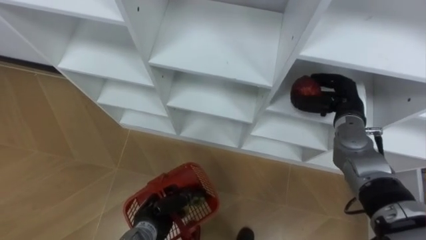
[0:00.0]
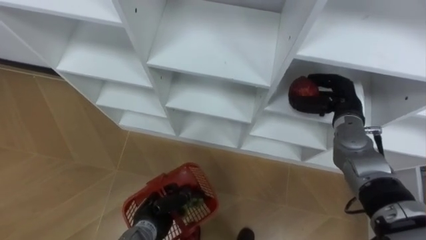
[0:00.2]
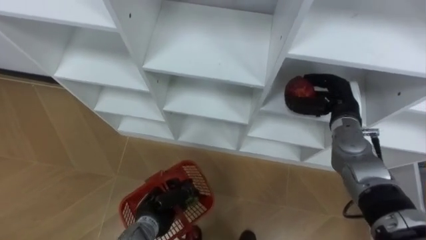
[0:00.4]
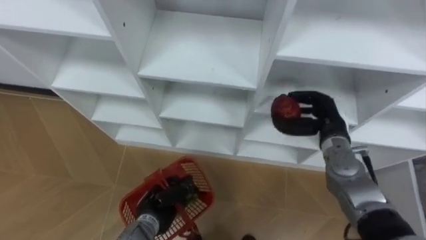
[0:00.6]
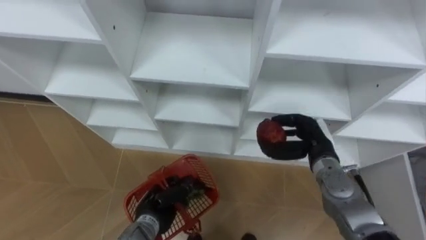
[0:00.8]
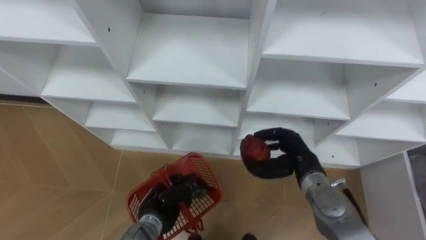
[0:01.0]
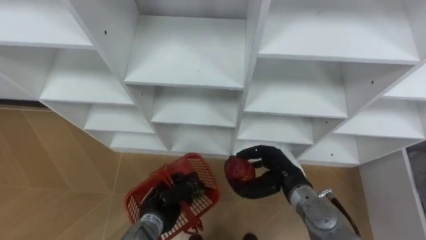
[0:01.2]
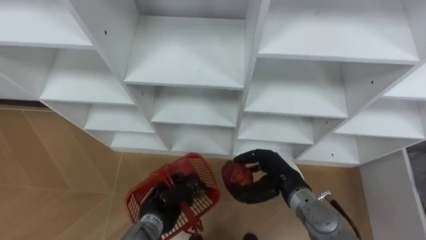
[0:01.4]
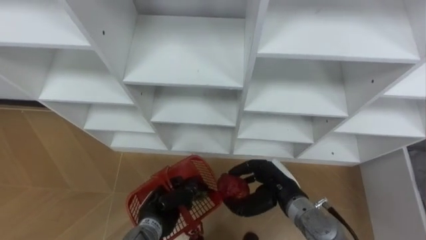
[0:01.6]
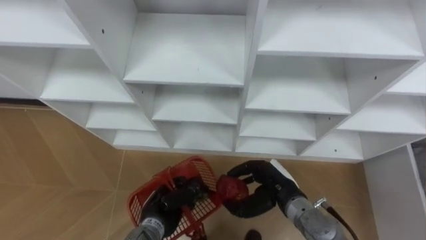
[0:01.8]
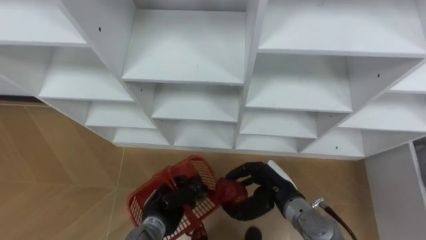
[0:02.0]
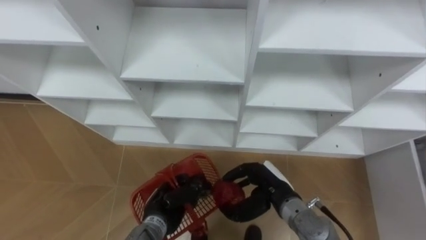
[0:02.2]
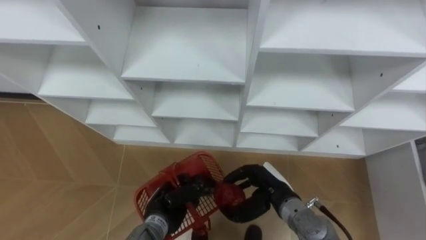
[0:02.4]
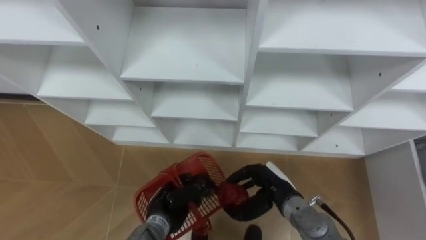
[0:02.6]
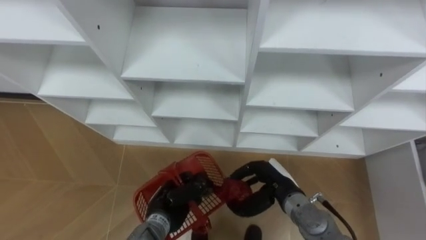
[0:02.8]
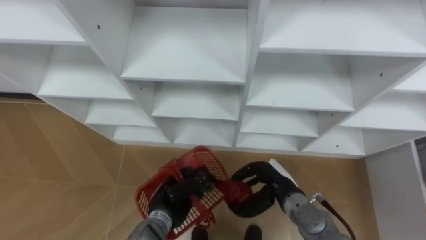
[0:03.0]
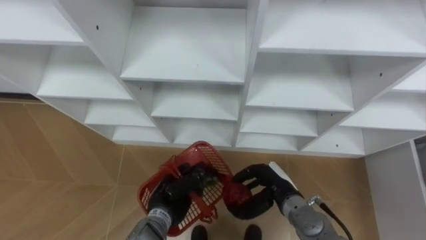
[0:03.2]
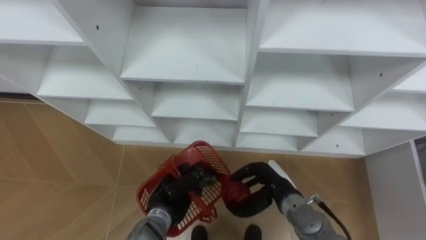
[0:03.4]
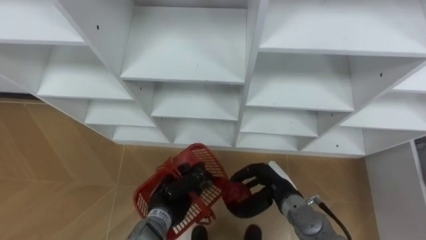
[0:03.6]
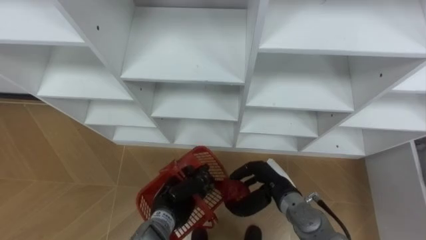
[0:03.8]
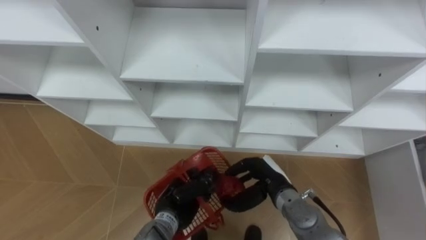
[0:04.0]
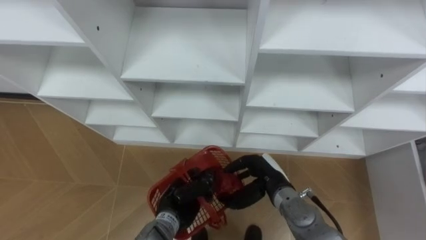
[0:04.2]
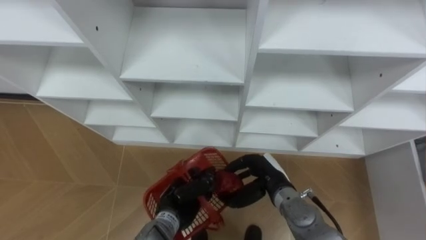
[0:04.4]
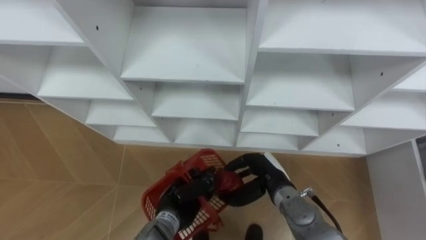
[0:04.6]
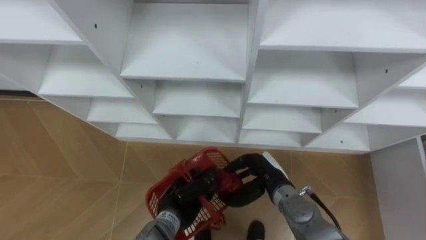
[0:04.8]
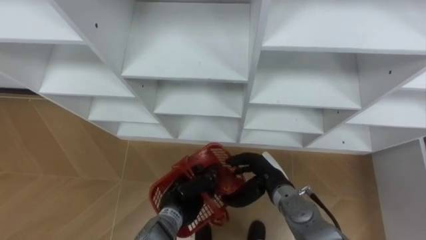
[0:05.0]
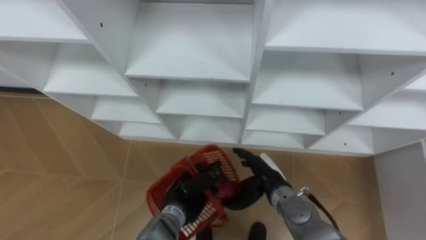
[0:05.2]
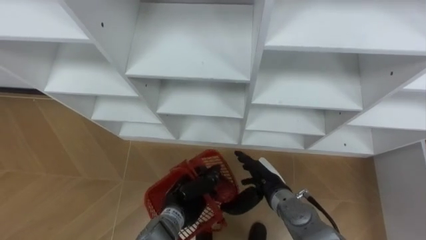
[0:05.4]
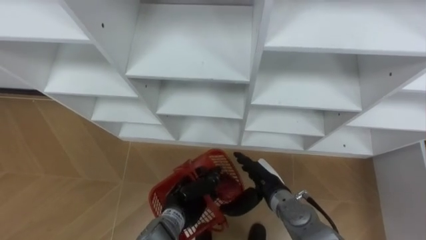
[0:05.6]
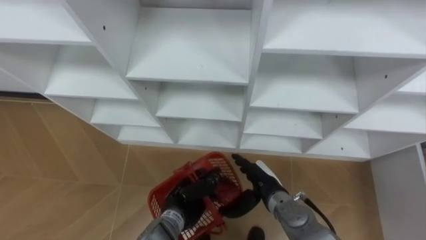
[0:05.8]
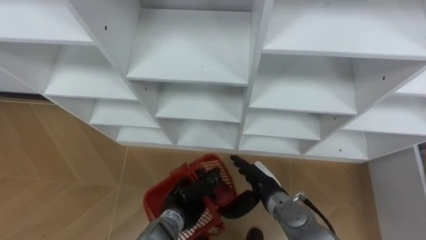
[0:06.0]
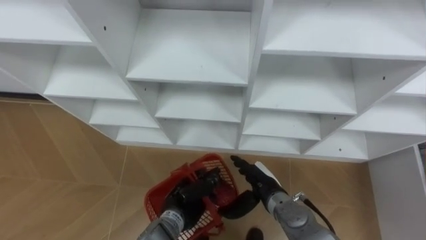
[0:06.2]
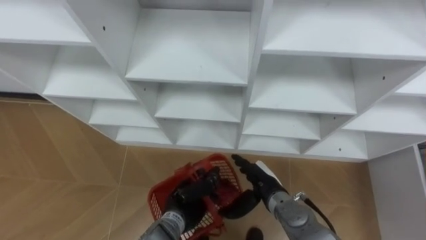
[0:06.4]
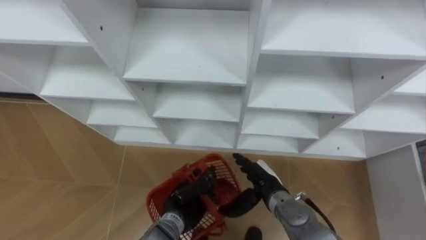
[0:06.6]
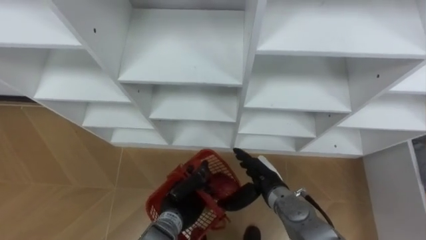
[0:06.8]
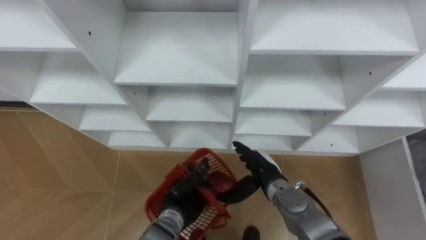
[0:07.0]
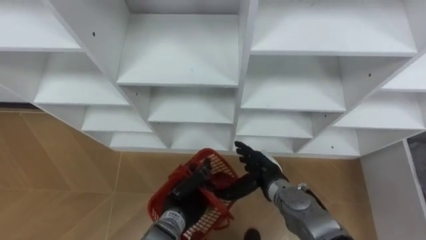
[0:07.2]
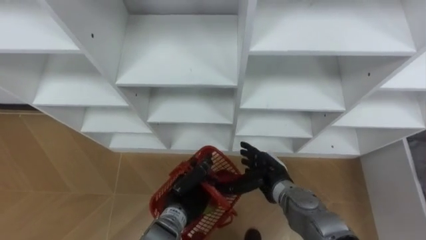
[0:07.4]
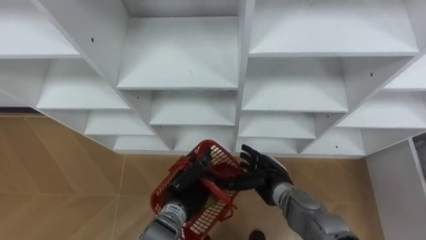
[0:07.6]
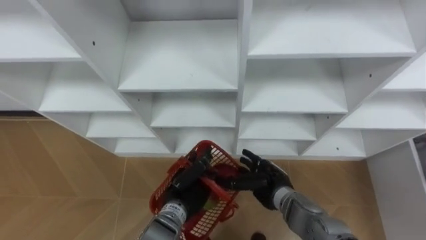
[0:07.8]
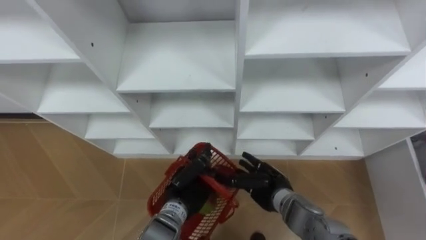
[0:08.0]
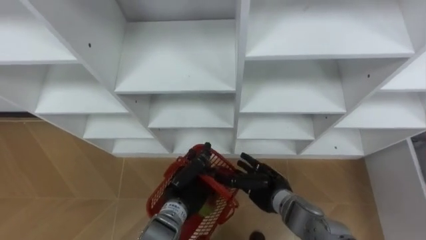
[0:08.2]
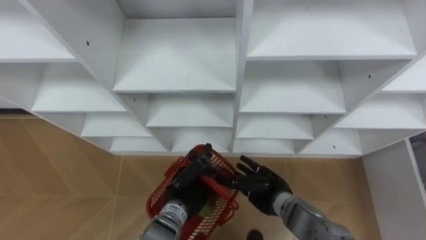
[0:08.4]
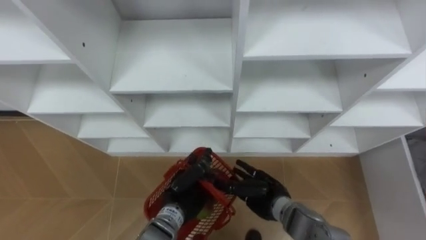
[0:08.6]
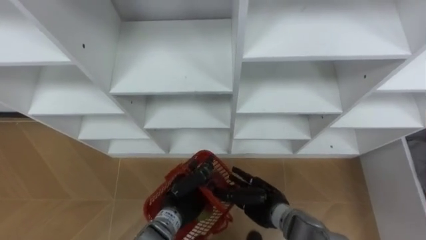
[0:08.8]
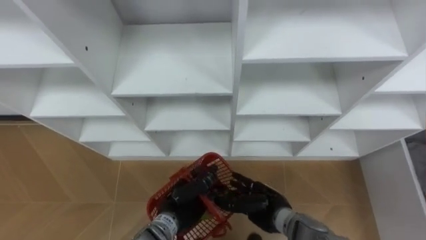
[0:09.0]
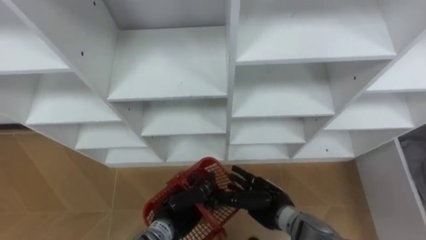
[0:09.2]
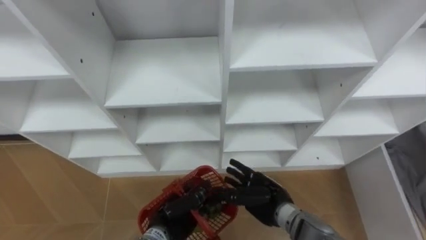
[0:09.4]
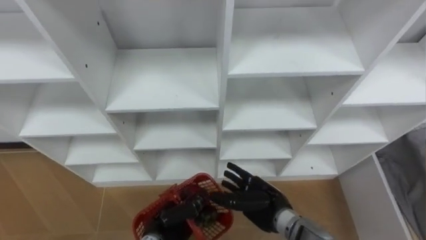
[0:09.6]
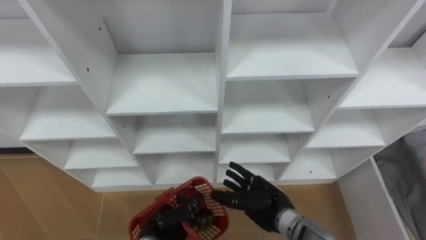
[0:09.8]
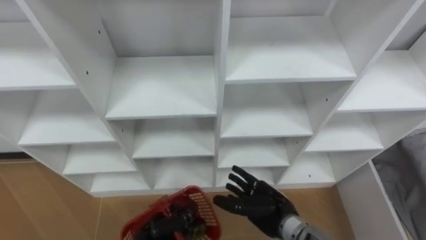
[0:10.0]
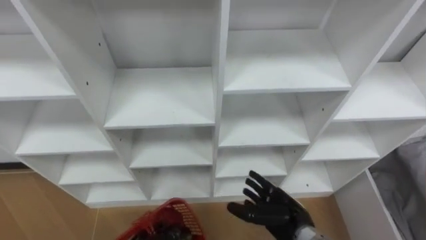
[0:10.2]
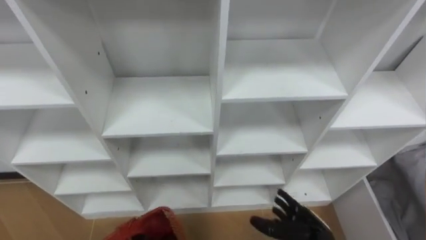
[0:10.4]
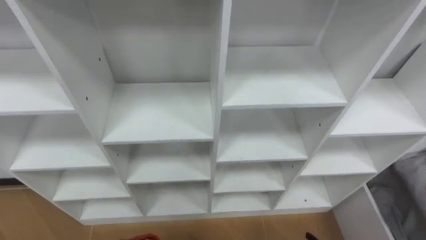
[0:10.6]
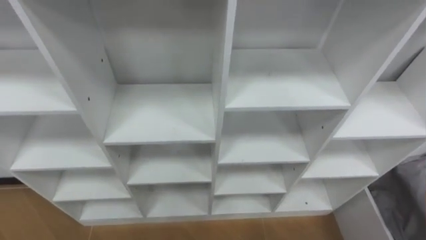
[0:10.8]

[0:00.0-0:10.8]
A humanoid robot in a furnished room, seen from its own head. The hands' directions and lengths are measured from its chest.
Task of the whole recording: Hold the basket and collect the fruits from 3 different cells of the closet into it.
0:00.0 to 0:01.6: The right hand heads backward, to the left and downward, covering approximately 20 cm.
0:03.0 to 0:04.6: There are only small adjustments of the hands.
0:04.6 to 0:06.2: The right hand opens its fingers.

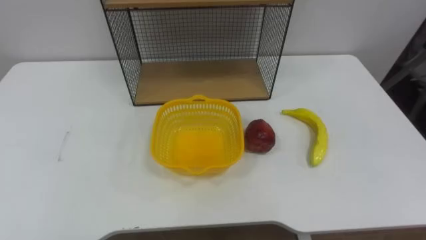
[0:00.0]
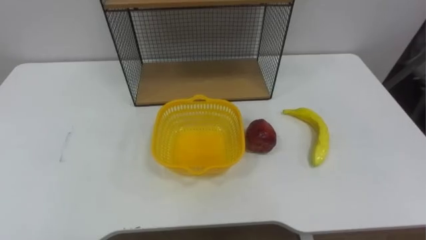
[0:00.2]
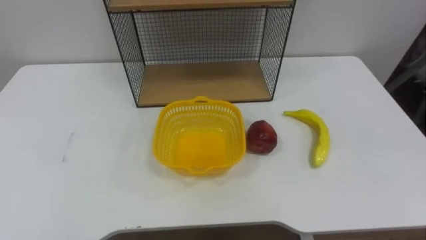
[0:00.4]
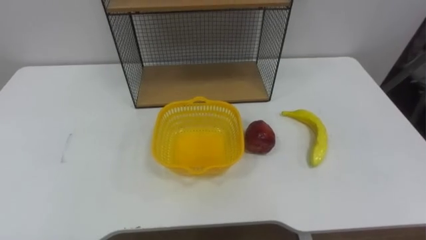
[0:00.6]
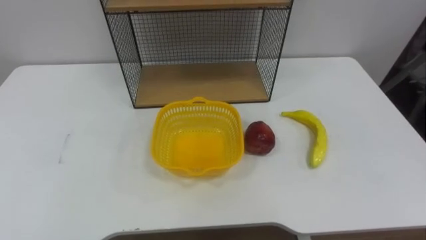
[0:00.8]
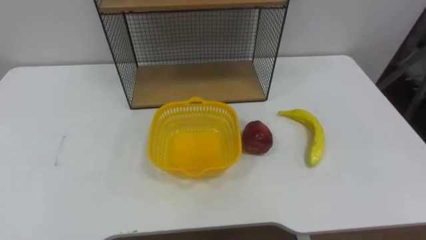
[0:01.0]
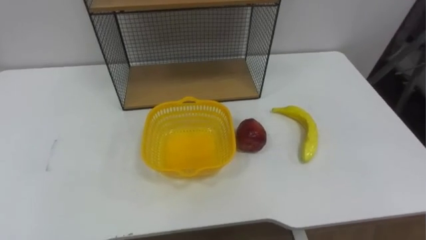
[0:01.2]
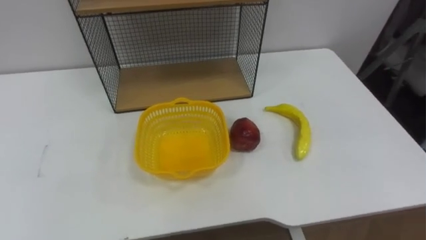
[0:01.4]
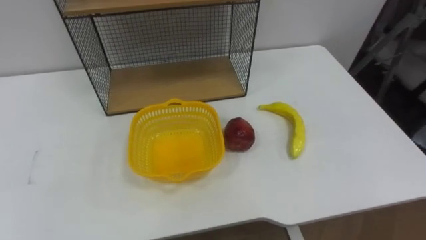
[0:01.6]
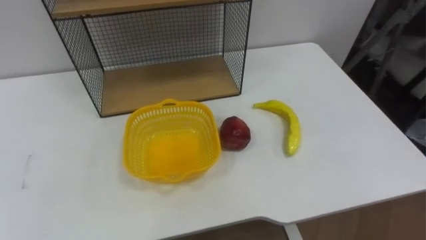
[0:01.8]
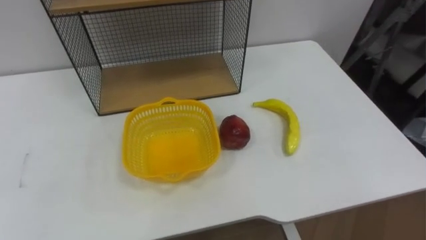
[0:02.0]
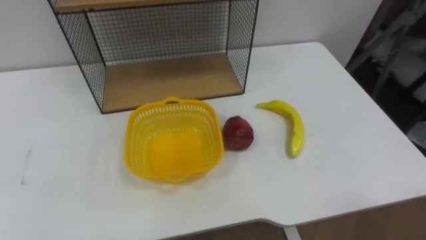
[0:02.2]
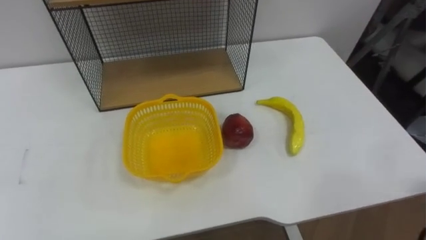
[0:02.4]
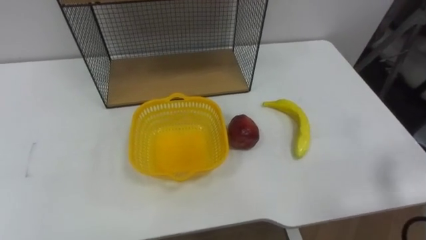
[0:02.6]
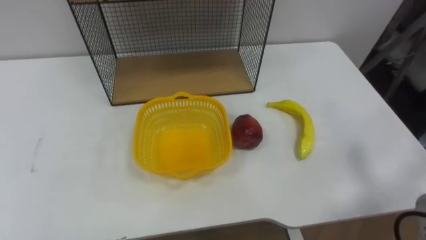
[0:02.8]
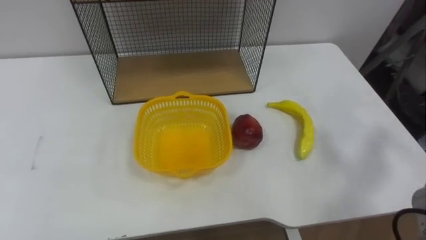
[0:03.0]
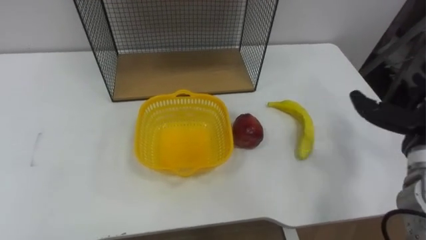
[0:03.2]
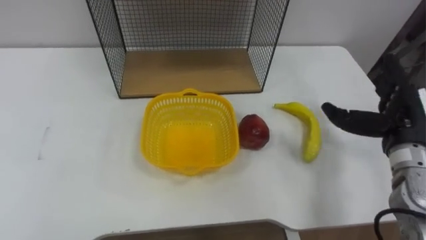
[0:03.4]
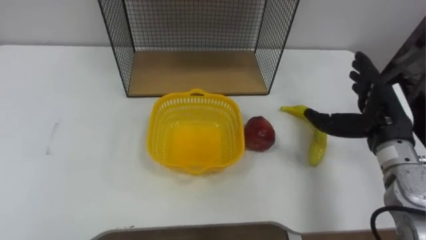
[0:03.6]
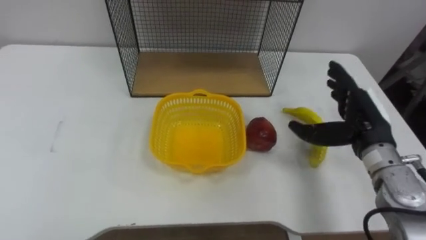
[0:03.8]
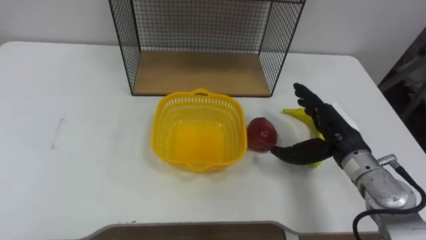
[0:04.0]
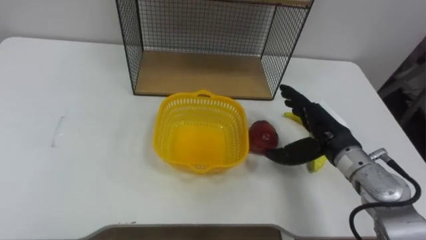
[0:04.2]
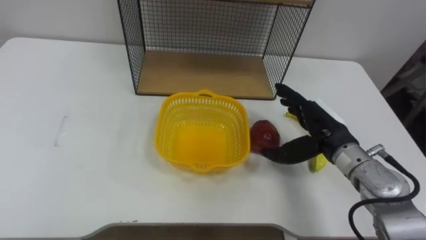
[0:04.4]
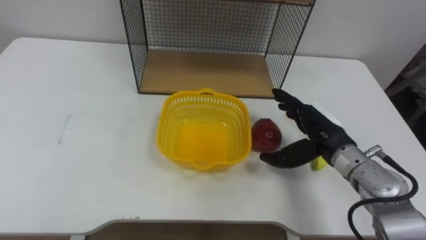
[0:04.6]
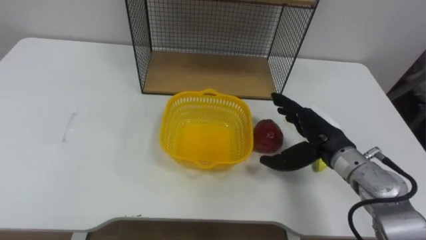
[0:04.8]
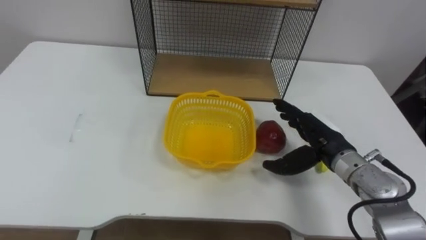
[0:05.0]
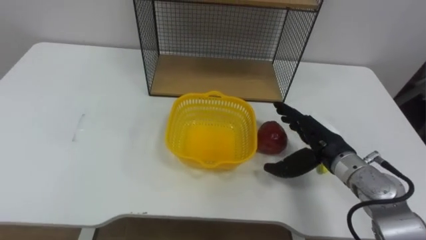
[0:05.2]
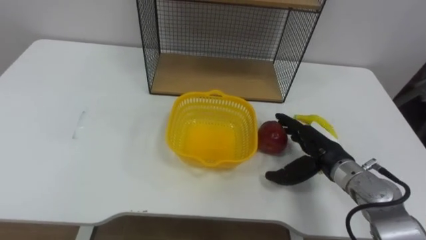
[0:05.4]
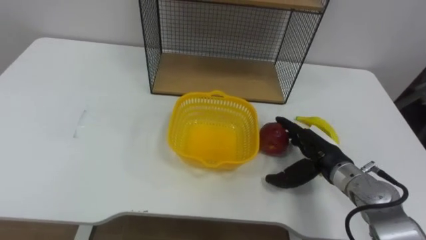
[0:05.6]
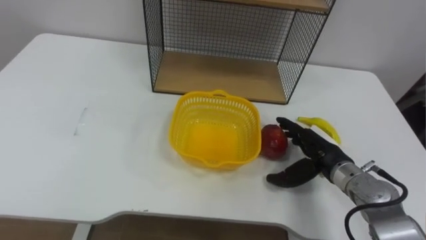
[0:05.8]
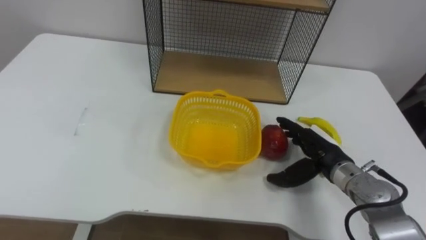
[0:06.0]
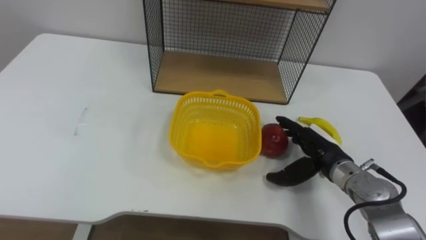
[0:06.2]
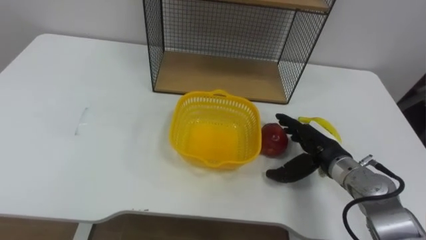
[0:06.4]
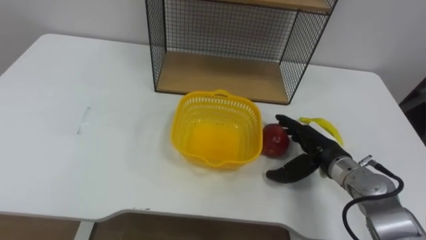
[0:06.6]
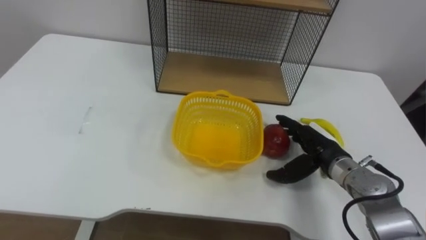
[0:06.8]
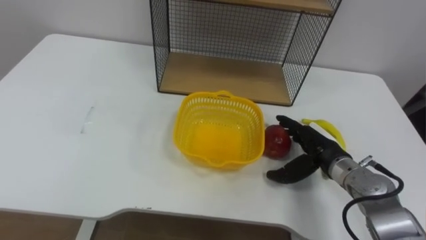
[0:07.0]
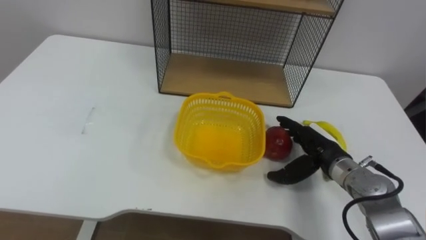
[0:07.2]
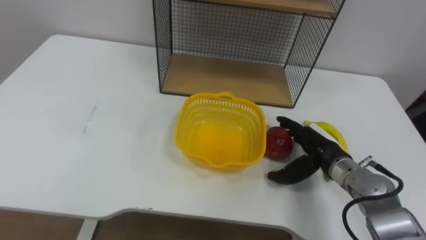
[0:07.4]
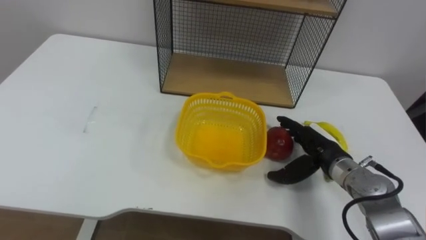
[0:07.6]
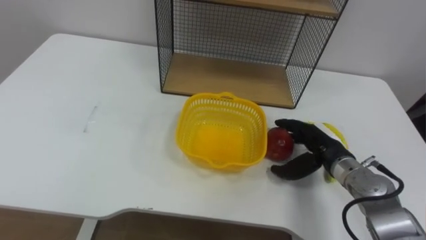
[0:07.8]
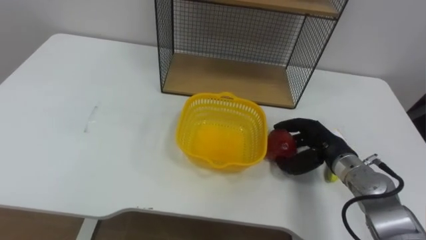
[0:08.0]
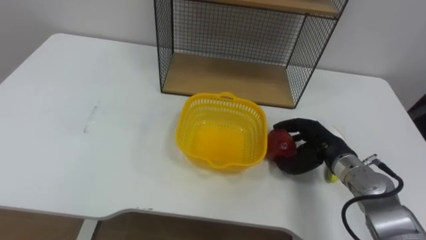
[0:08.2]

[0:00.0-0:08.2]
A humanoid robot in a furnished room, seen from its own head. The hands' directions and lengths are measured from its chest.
Task of the whole recording: Put the fruit on the table into the basket, then place the basket on the shelf.
0:06.6 to 0:08.2: The right hand closes up.
